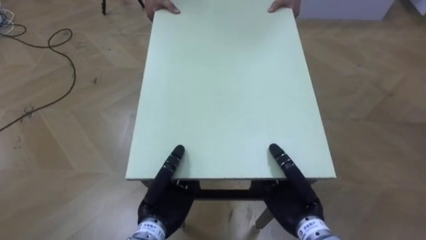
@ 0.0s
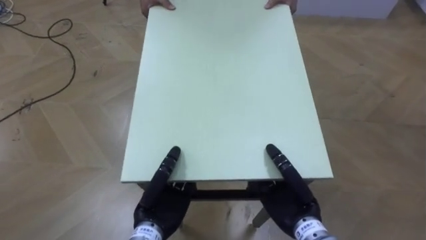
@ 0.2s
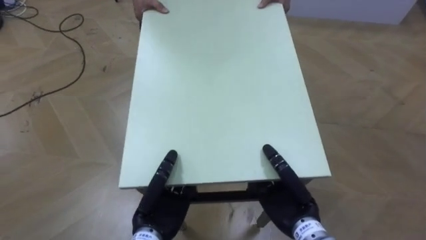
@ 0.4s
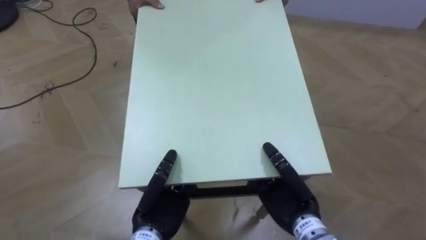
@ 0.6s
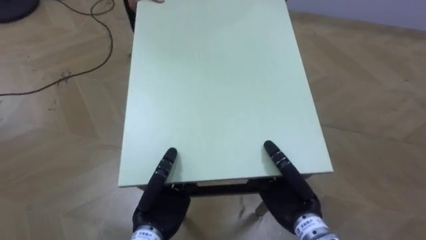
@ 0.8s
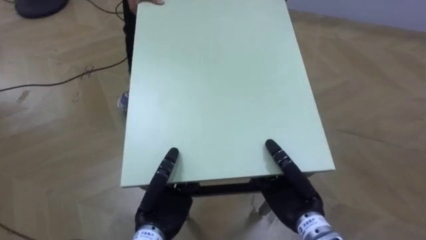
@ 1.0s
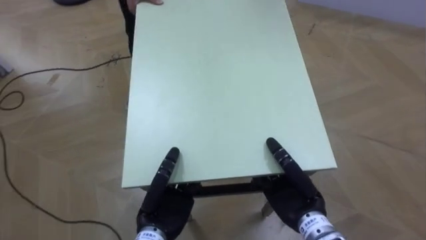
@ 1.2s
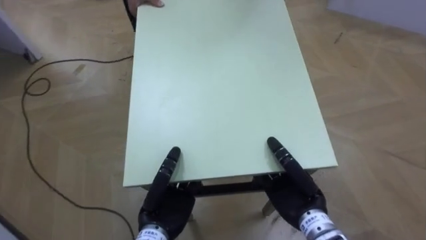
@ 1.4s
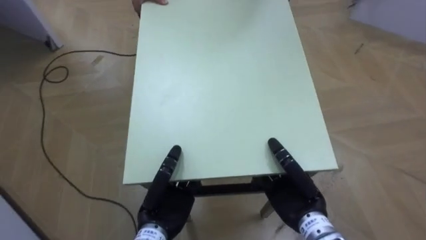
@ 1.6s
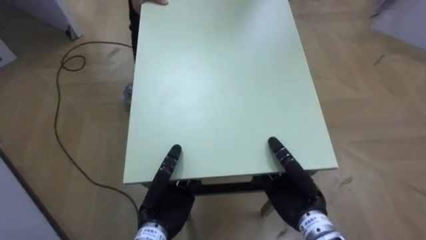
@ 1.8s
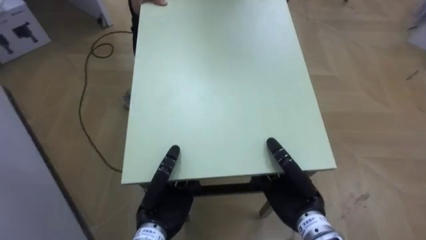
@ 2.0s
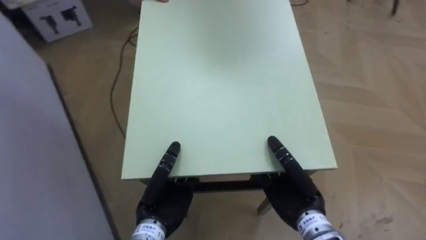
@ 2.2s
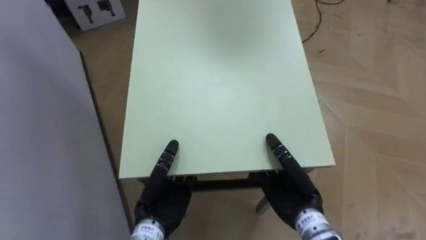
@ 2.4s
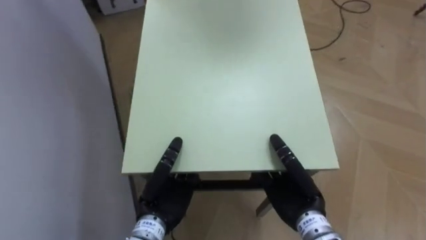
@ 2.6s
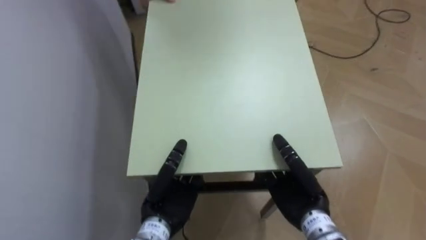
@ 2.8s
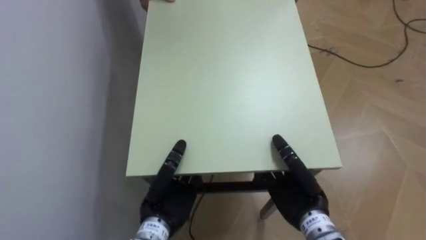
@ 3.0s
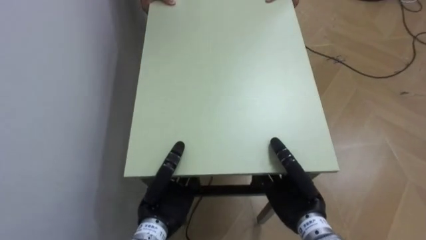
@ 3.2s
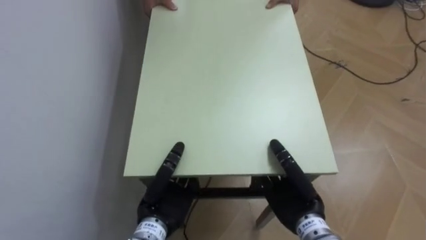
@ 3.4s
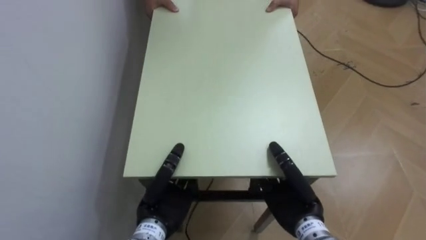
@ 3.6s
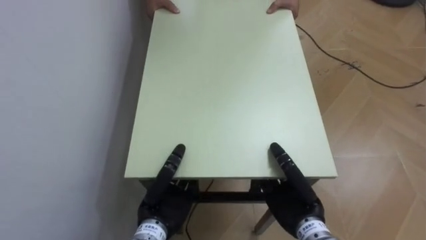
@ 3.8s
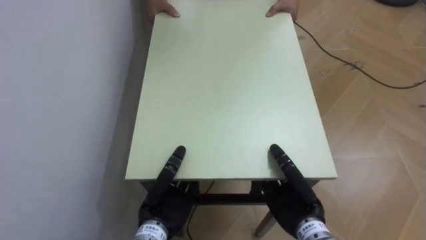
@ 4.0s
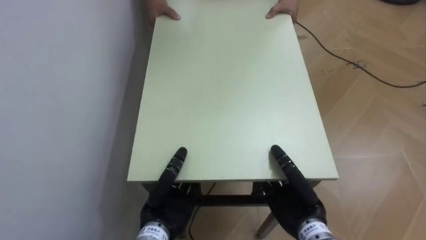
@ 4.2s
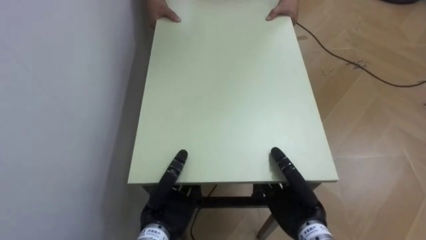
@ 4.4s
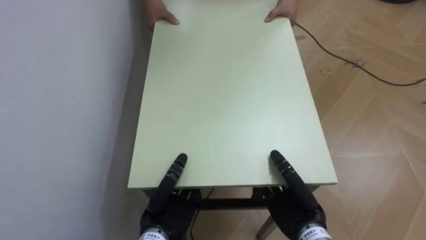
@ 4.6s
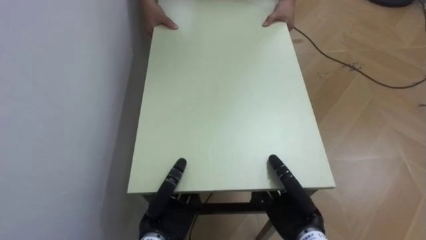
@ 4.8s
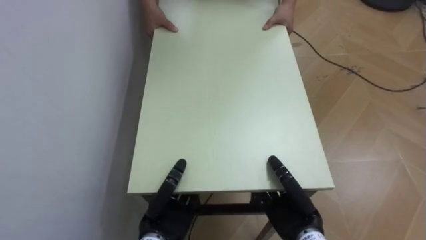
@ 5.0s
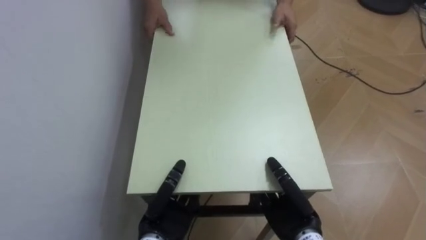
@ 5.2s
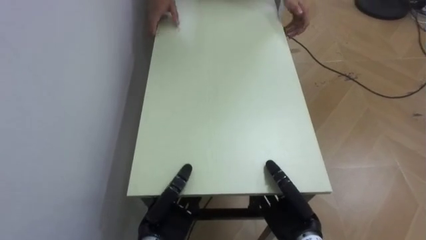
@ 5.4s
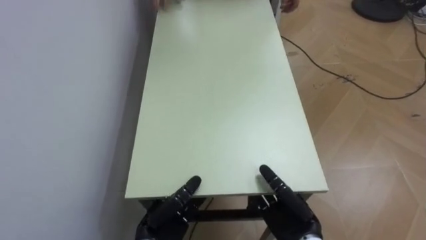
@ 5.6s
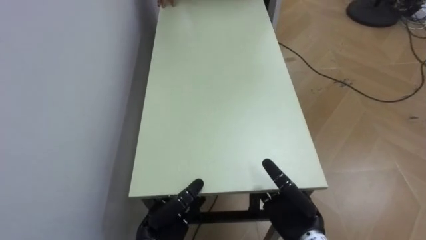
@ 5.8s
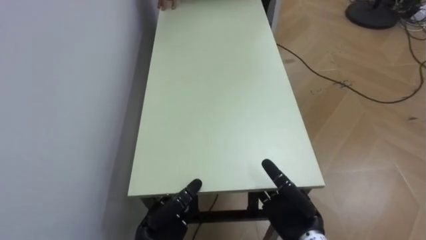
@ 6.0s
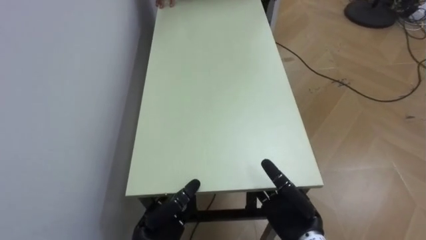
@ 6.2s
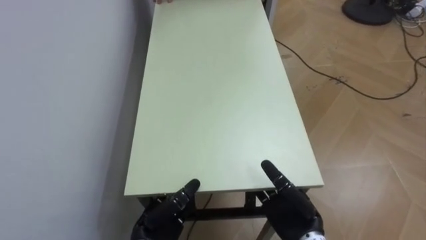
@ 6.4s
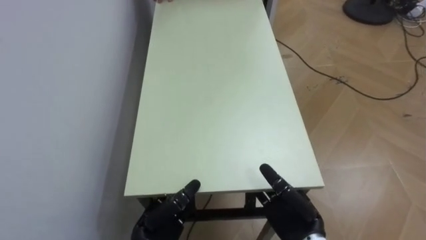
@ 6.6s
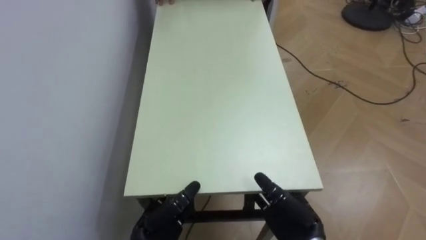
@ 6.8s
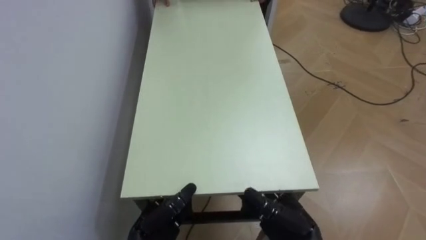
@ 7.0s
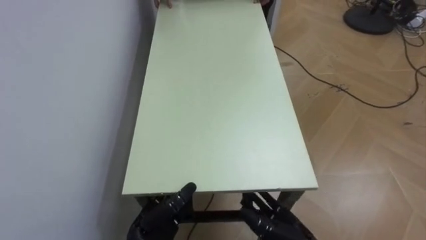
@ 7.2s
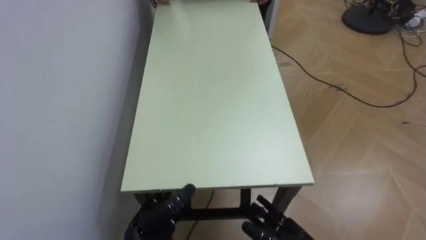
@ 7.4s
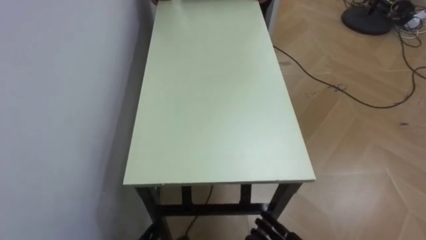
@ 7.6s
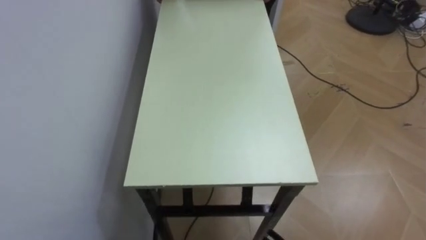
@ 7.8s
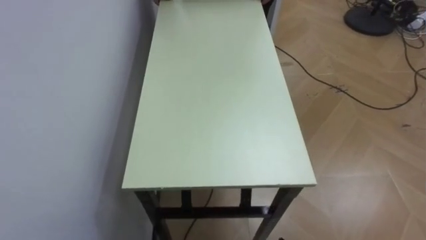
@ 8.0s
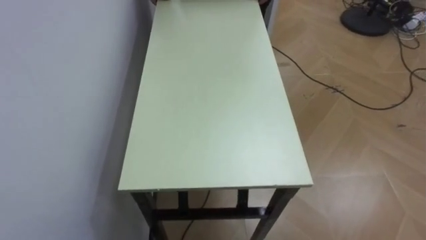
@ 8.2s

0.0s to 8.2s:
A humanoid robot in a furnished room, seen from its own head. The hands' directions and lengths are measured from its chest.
Task of the whole recording: Move the table to the back left with someone.
0.0s to 1.6s: The robot turns to its left by approximately 35 degrees.
1.6s to 3.2s: The robot turns to its left by some 45 degrees.
5.0s to 6.6s: The left hand opens its fingers; the right hand opens its fingers.

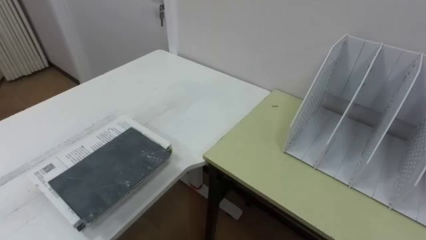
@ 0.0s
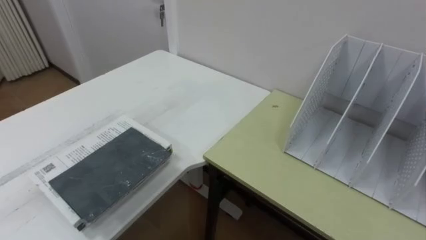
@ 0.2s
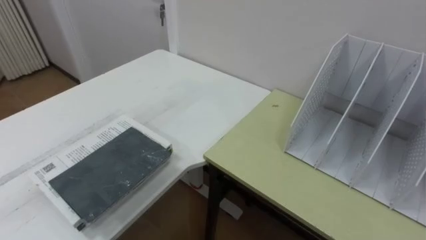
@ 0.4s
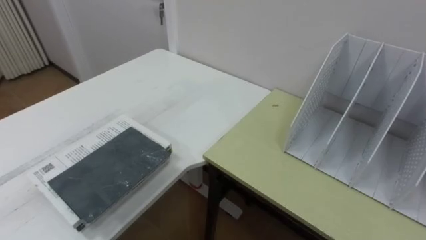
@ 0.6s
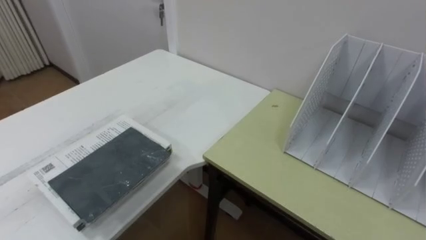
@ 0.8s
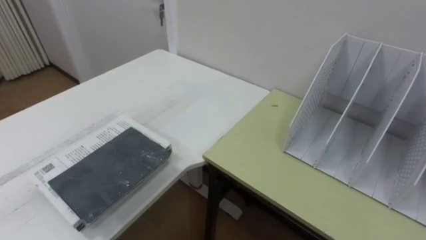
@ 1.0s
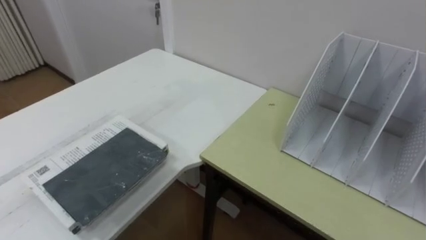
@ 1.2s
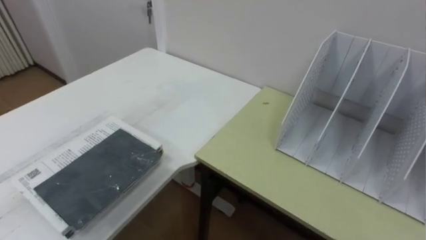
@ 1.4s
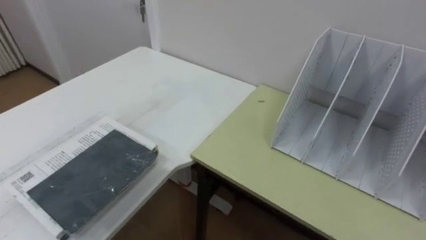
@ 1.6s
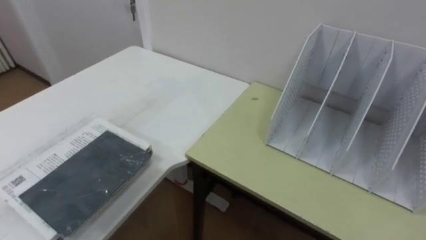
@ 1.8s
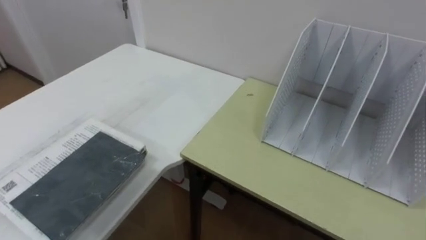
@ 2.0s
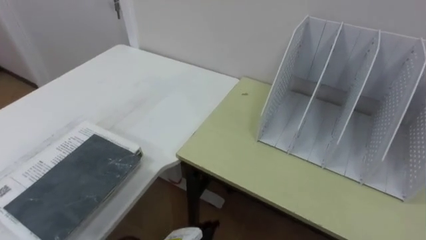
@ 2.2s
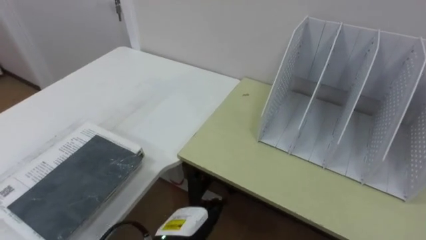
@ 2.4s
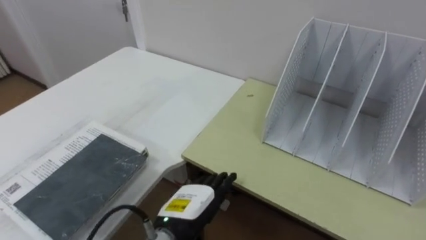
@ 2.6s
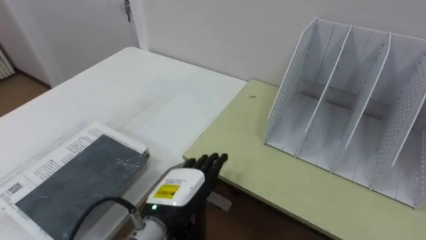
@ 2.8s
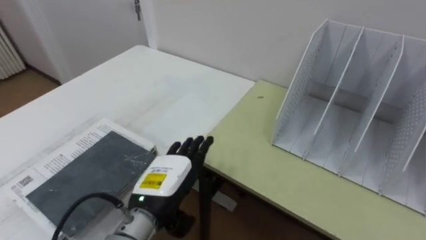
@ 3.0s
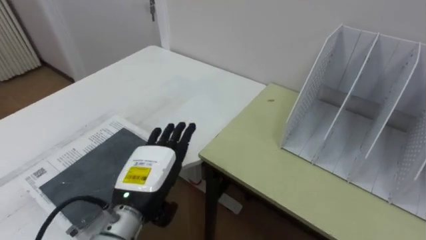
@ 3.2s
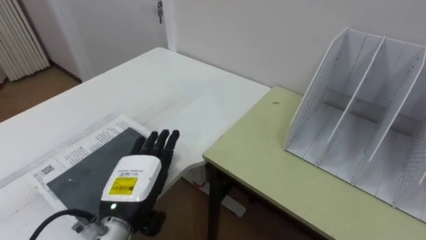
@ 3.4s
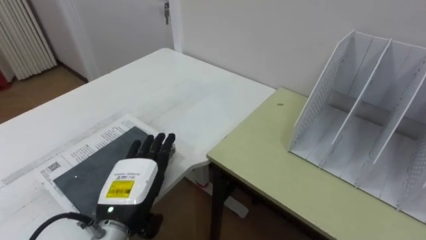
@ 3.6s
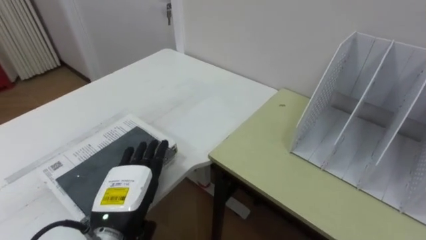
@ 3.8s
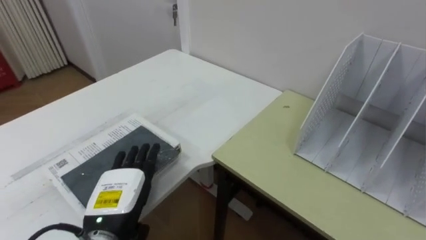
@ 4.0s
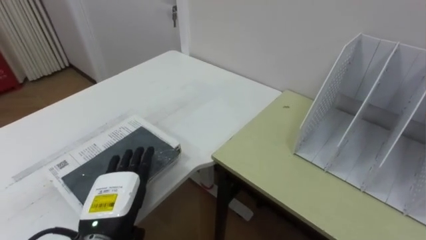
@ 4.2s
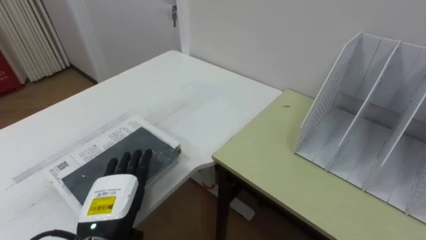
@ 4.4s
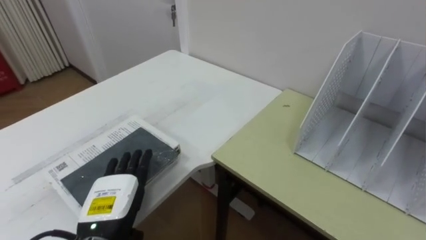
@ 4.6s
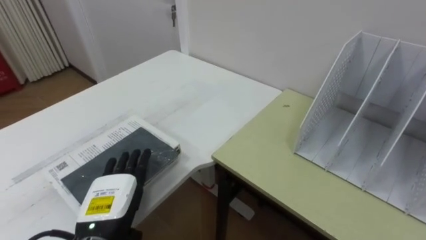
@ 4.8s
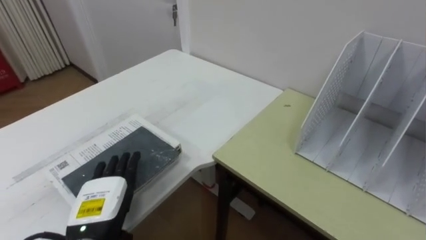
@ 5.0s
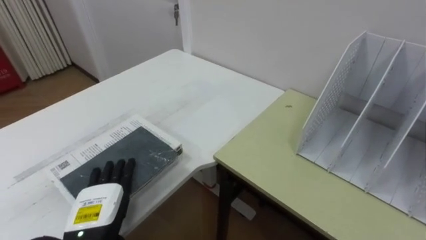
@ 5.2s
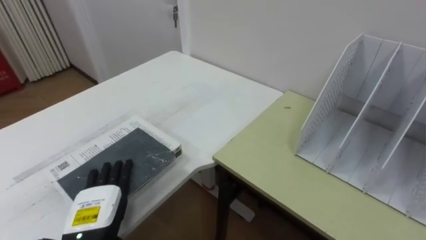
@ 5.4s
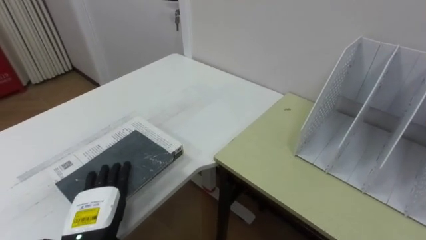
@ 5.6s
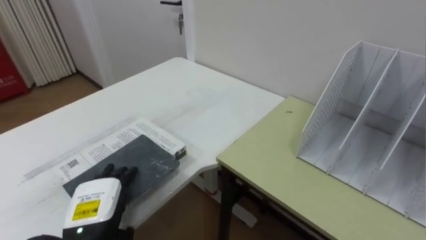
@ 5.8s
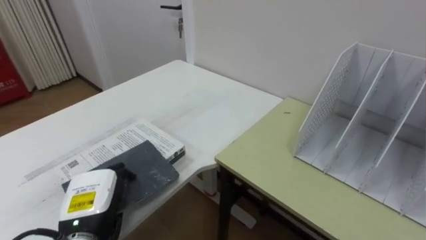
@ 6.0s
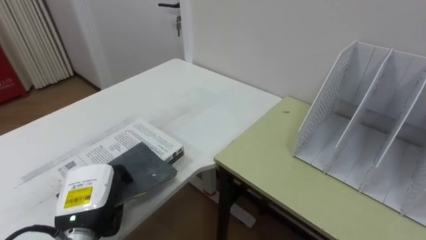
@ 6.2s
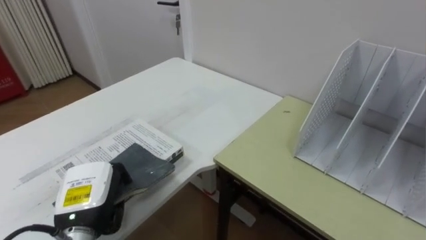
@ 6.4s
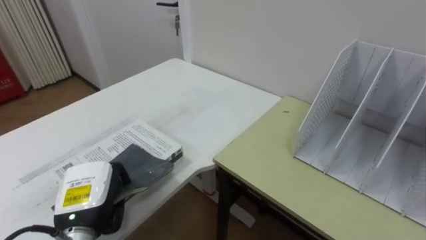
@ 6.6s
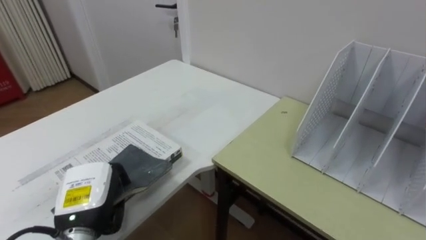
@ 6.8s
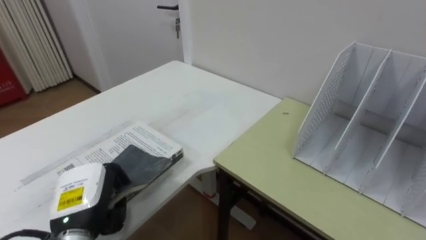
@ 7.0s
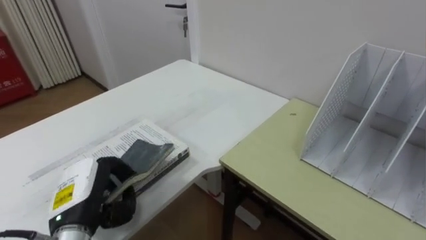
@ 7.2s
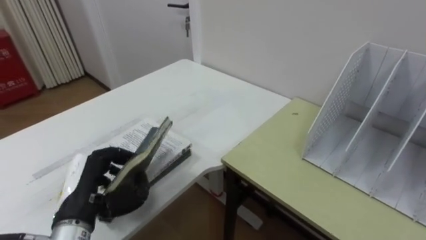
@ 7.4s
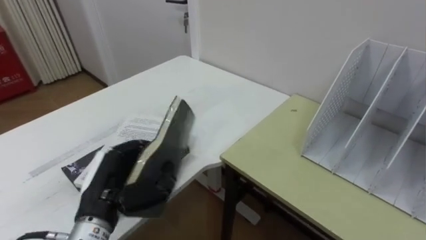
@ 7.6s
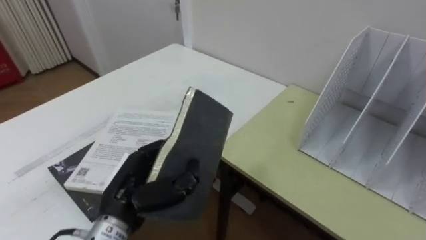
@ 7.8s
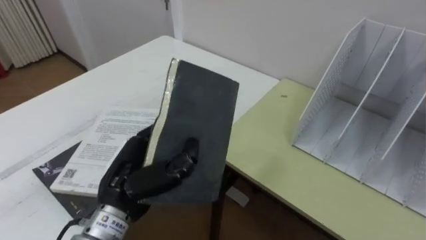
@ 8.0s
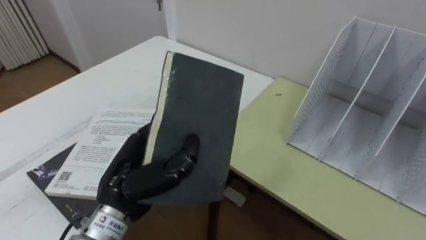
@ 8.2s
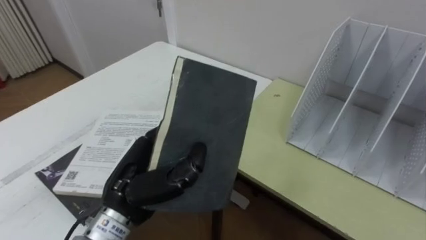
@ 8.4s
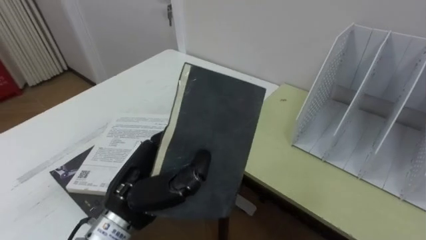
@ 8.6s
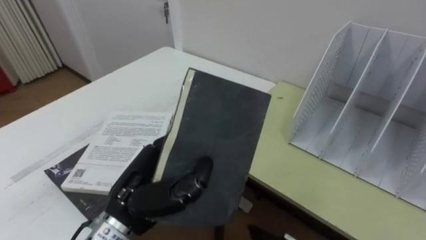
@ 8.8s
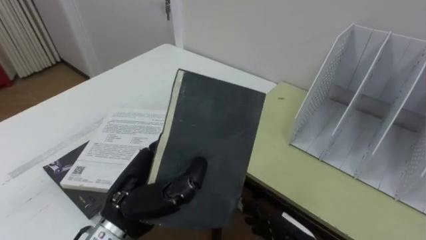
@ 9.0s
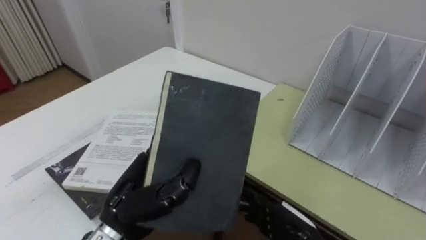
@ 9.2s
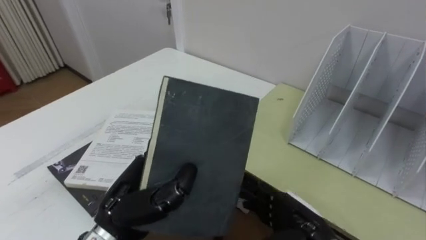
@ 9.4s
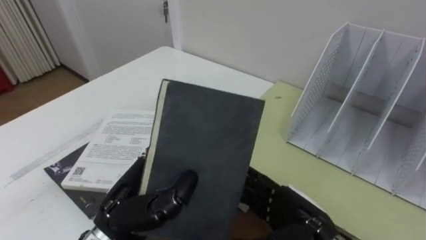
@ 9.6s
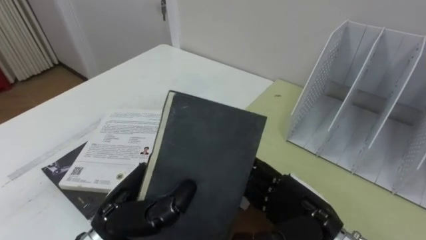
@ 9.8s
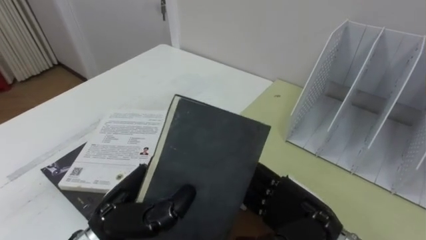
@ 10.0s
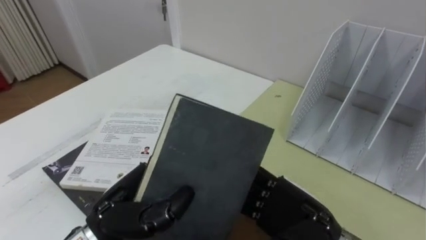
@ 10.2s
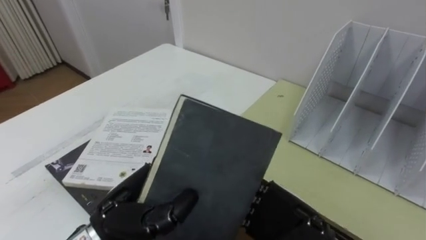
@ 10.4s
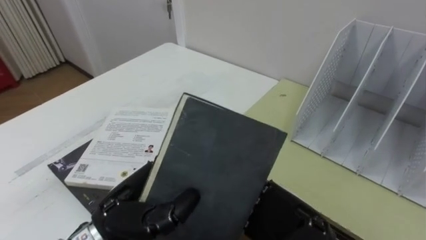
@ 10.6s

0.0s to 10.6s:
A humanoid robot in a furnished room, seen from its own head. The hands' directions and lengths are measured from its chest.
Task of the whole recording: Put the books on the table onto the bookshelf.
3.0s to 4.6s: The left hand moves to the left, about 10 cm.
4.6s to 6.0s: The left hand closes its fingers.
6.0s to 7.6s: The left hand ends up approximately 5 cm from where it was, and closes its fingers.
7.6s to 9.0s: The left hand travels to the right by approximately 5 cm.
